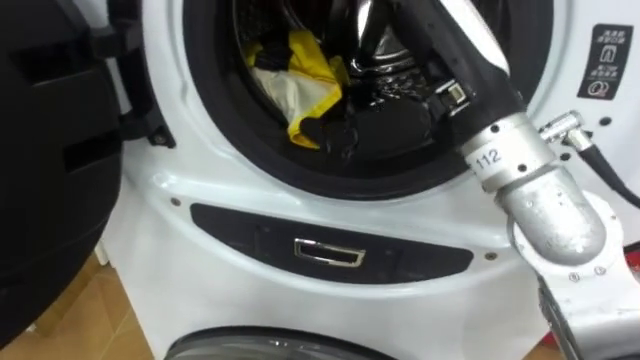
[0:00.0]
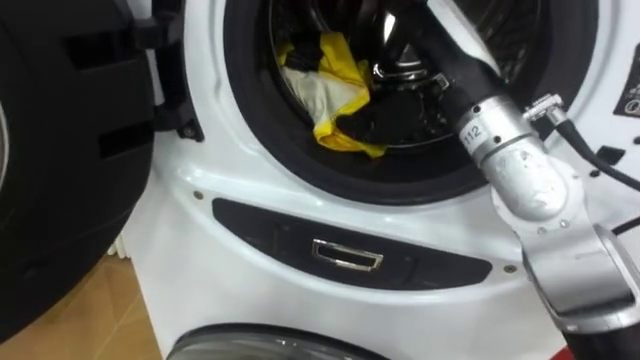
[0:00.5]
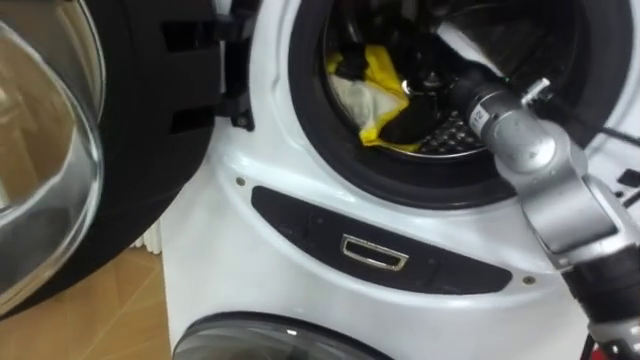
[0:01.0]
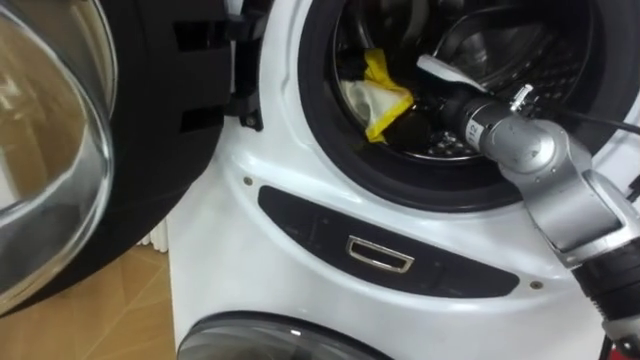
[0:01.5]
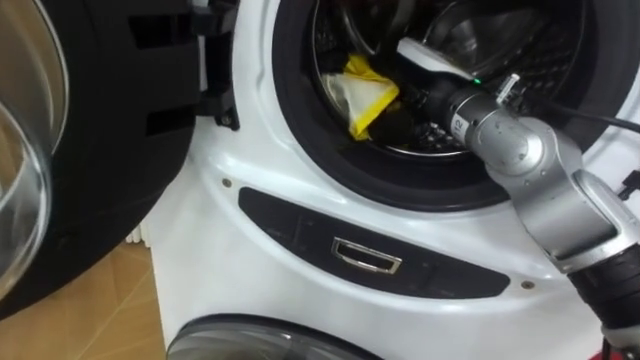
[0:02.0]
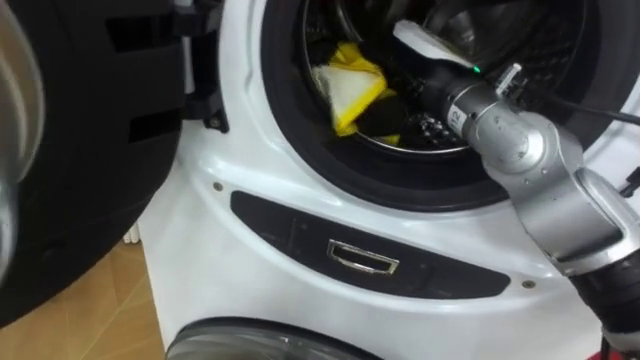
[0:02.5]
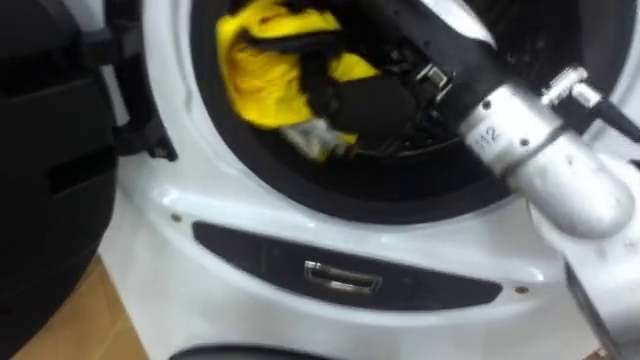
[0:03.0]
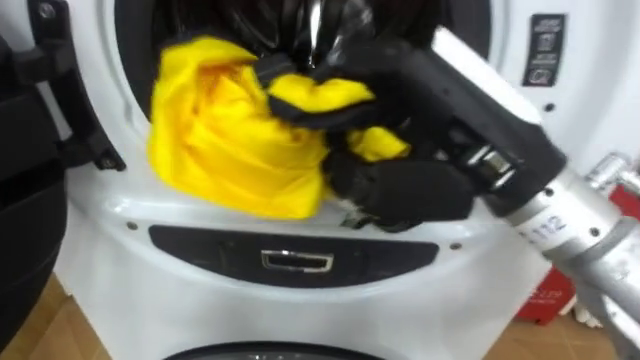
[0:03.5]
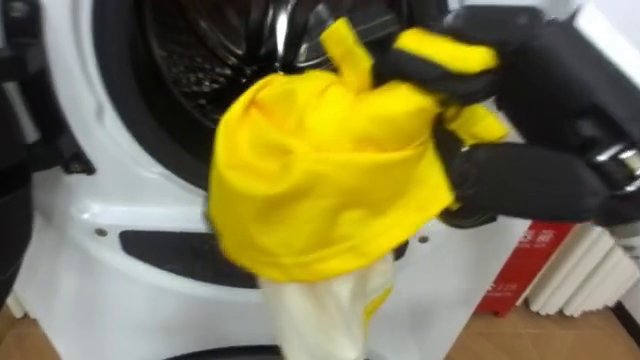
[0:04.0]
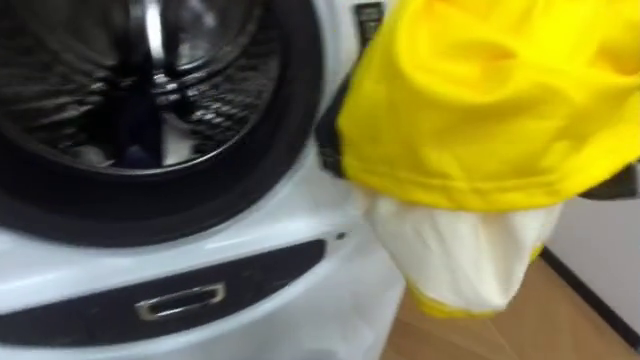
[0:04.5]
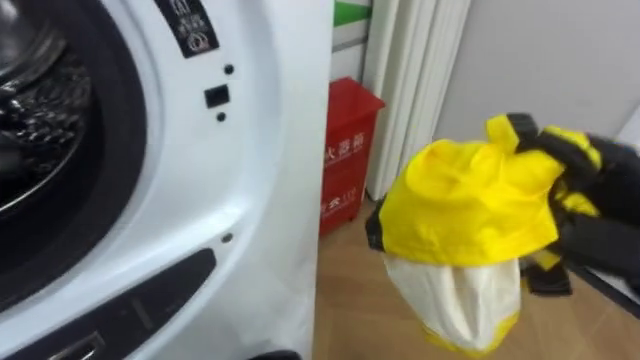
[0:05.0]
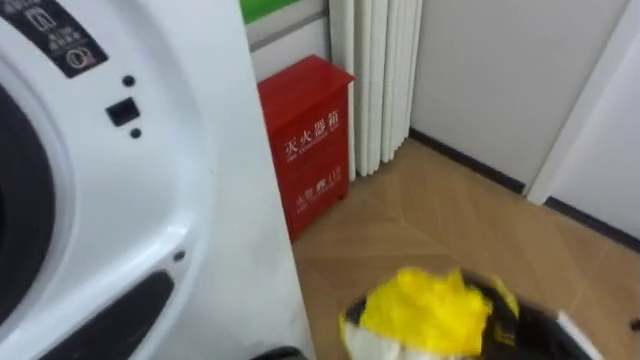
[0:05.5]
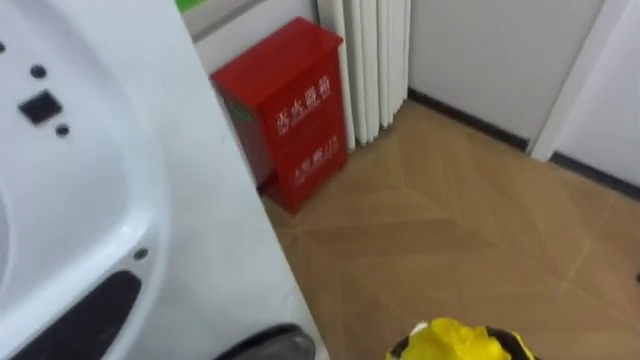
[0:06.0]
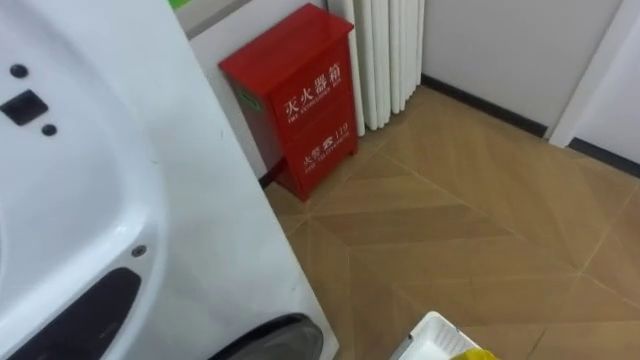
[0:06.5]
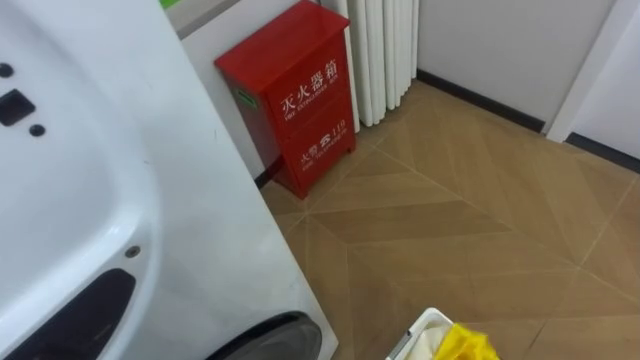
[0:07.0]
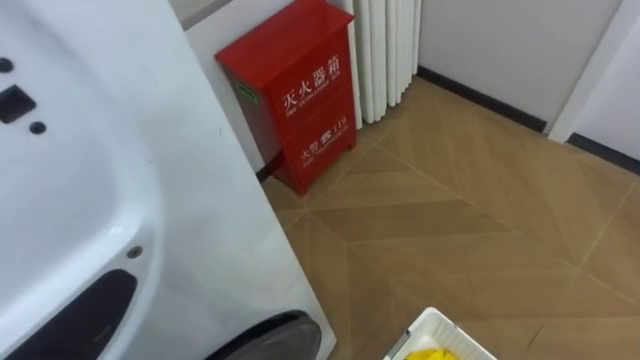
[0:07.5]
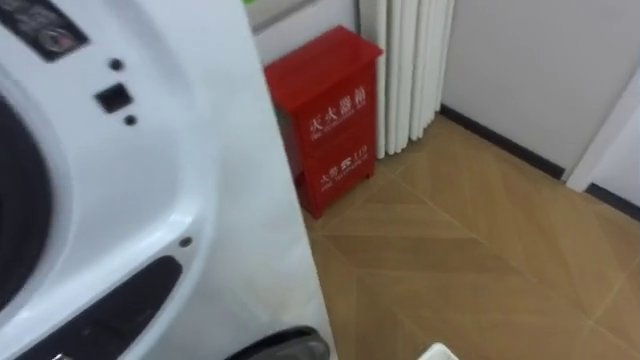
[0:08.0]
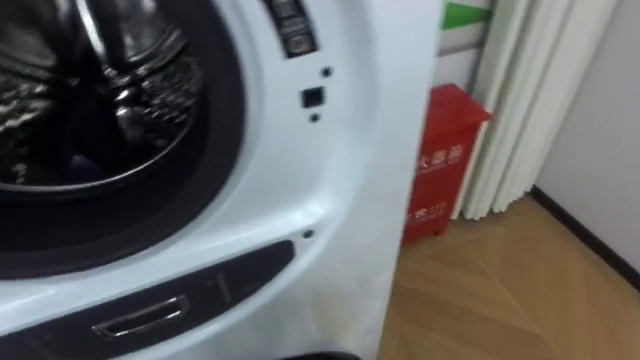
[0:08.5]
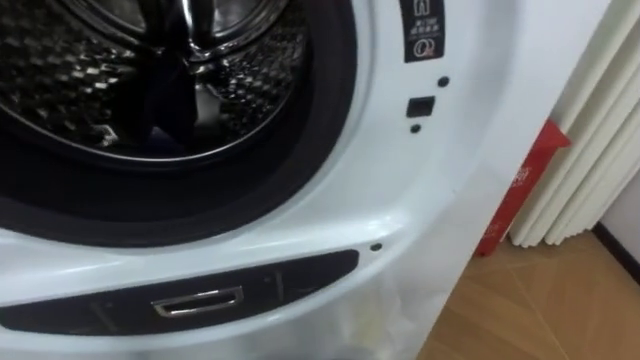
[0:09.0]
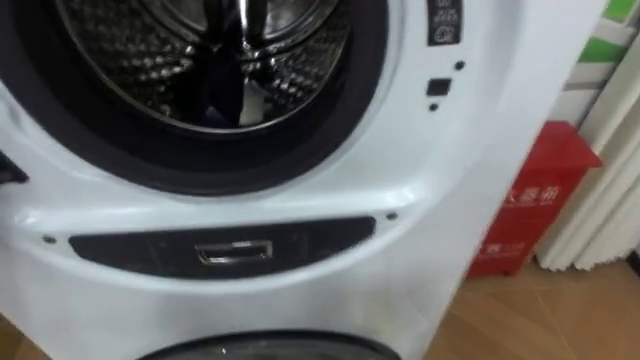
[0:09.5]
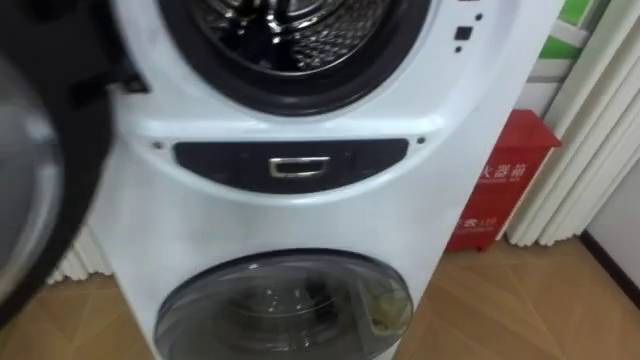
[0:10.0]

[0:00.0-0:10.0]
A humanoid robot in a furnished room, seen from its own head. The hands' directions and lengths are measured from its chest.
Task of the whole recording: Open the washing machine door, take out the yellow clothes, place them in the box on the right, and close the washing machine door.
0.0 to 2.0 s: The right hand moves forward and downward, some 10 cm, and closes its fingers.
2.0 to 4.0 s: The right hand moves backward and upward, approximately 20 cm.
4.0 to 6.0 s: The robot rotates some 30 degrees to its right.
8.0 to 10.0 s: The robot faces some 25 degrees further to its left.

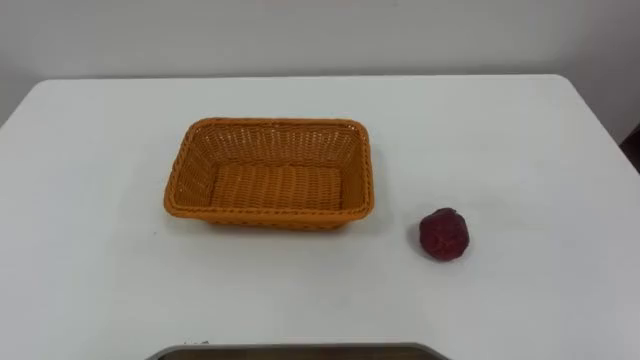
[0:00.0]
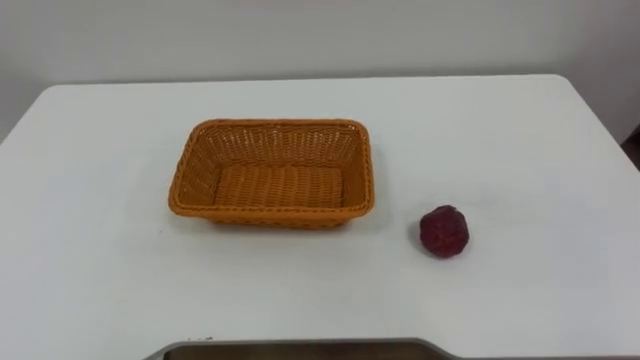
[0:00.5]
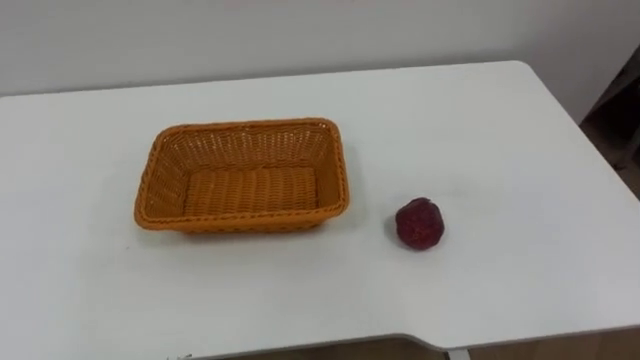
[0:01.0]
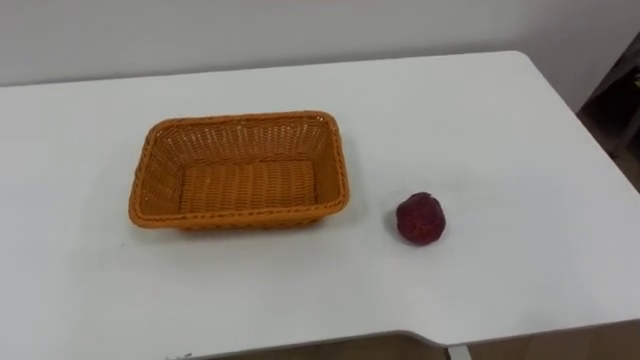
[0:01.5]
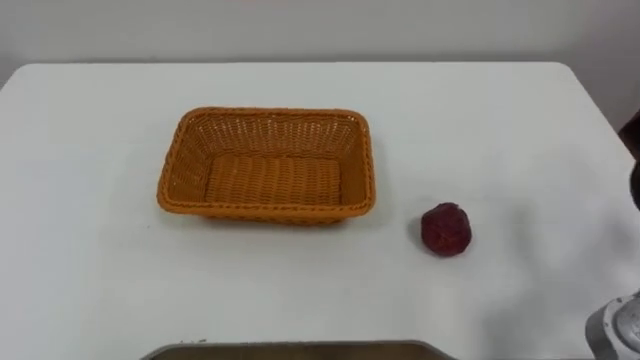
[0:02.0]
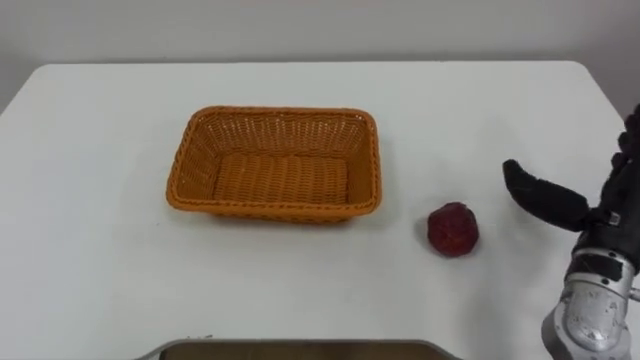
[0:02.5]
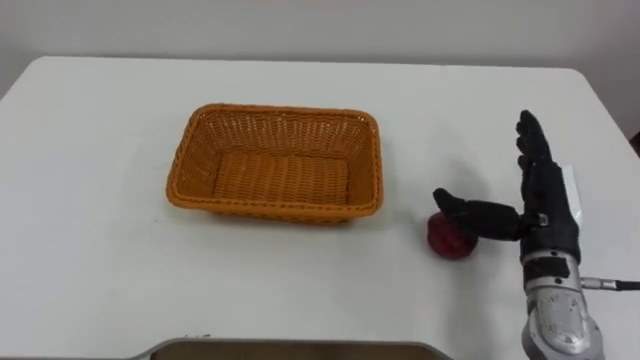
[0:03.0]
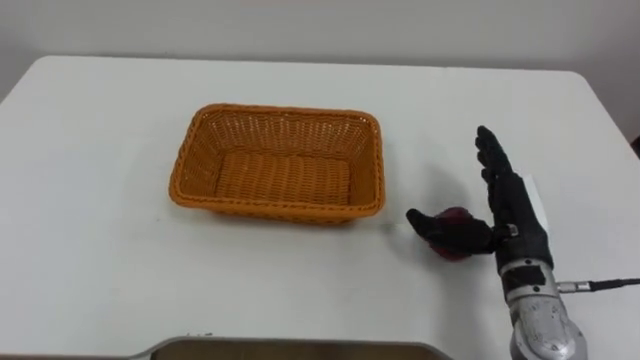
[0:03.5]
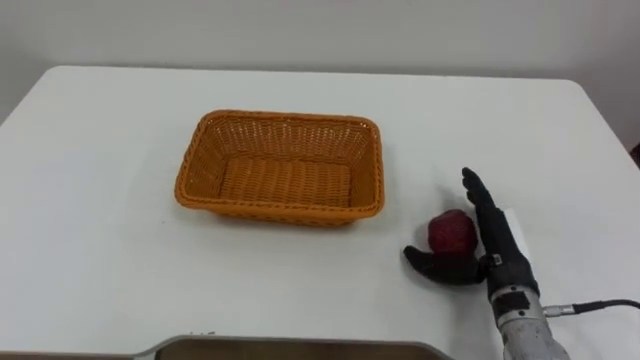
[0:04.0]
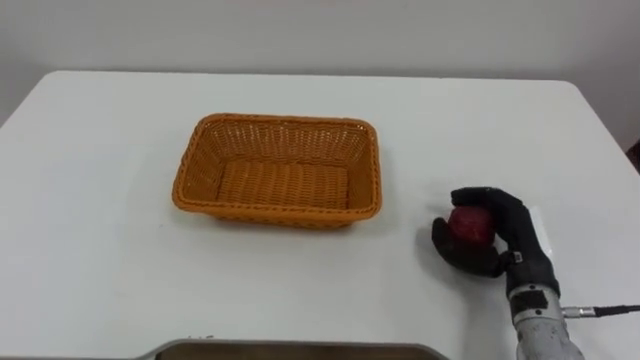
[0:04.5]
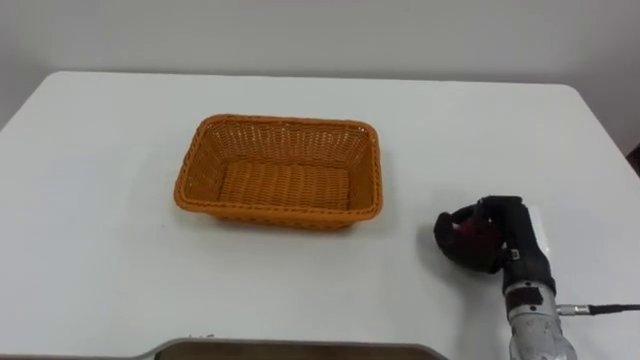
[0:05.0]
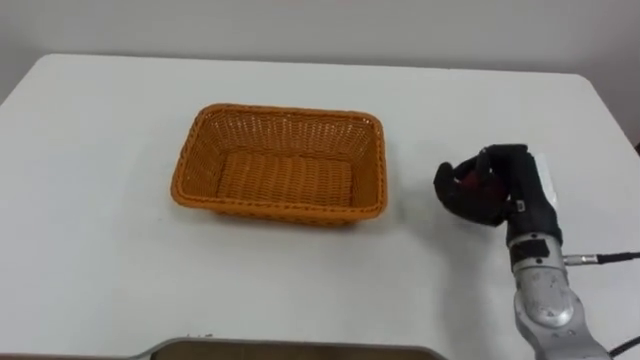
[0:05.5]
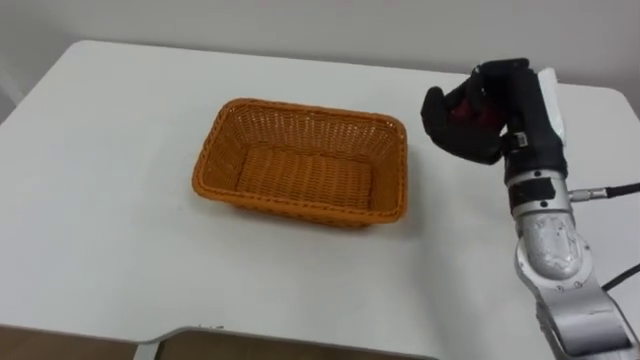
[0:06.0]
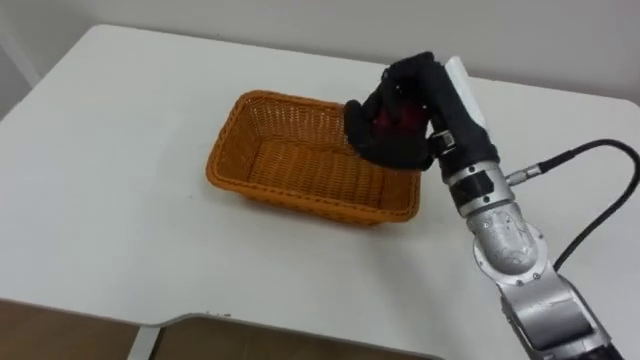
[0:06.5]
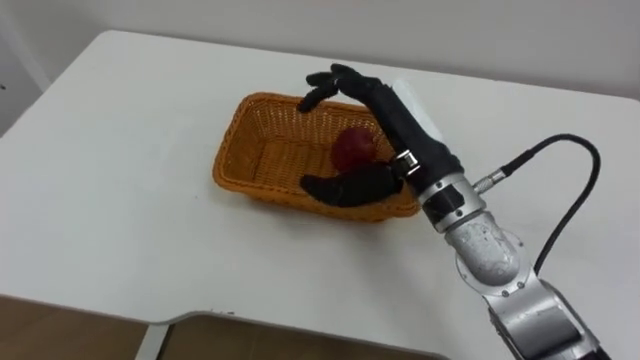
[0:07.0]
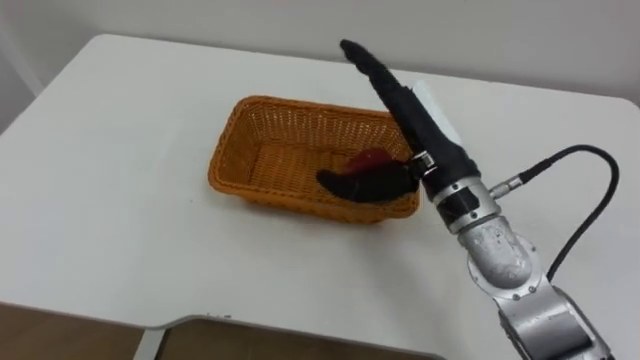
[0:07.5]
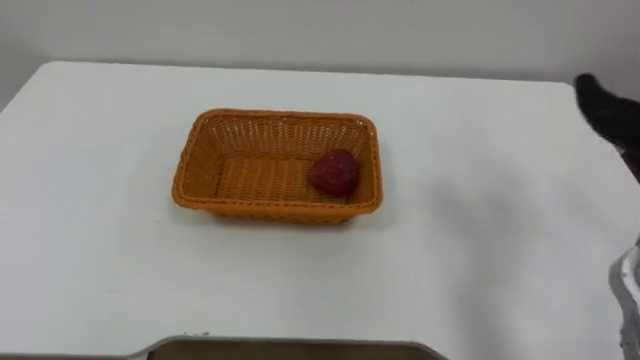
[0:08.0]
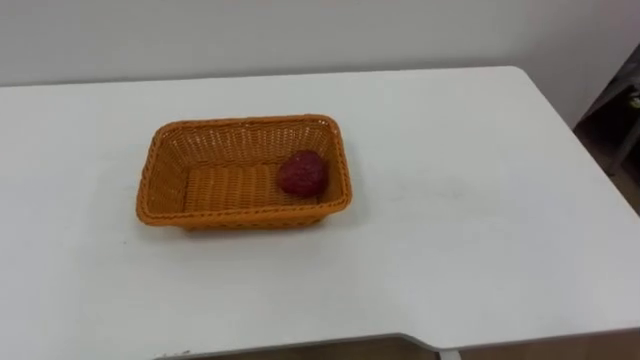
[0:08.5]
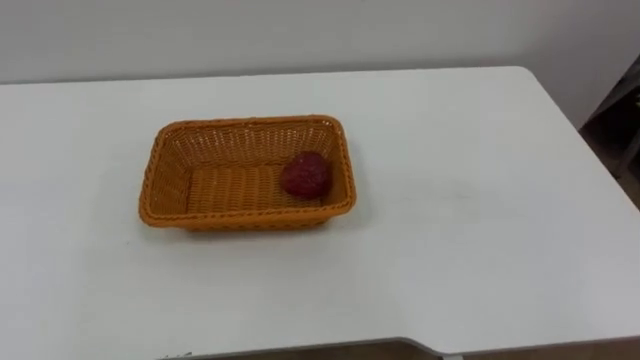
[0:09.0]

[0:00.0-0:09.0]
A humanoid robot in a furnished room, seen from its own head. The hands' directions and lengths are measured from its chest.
Task of the whole recording: Pick the apple and place it in the box.
4.5 to 7.0 s: The right hand travels upward and to the left by some 20 cm, and closes, then reopens.

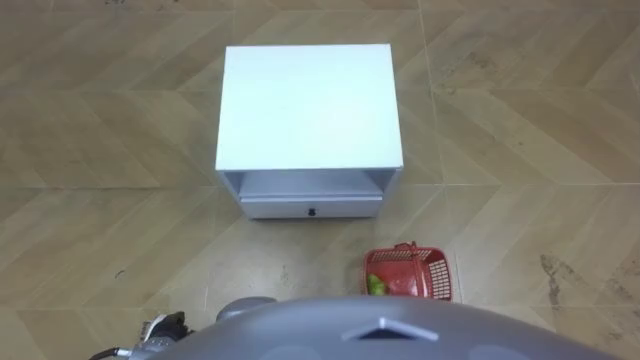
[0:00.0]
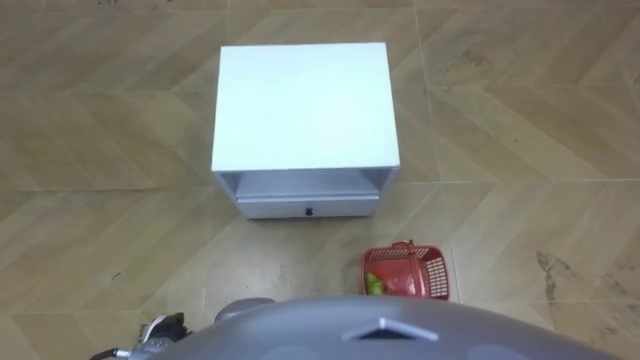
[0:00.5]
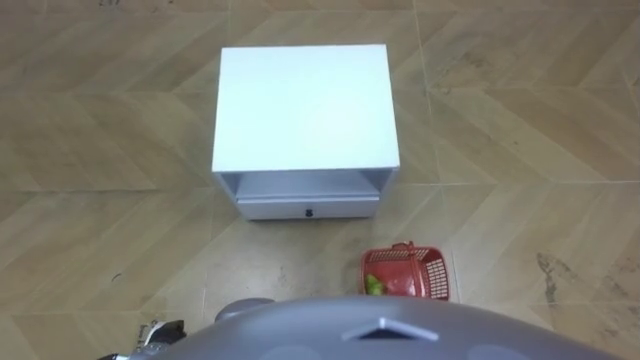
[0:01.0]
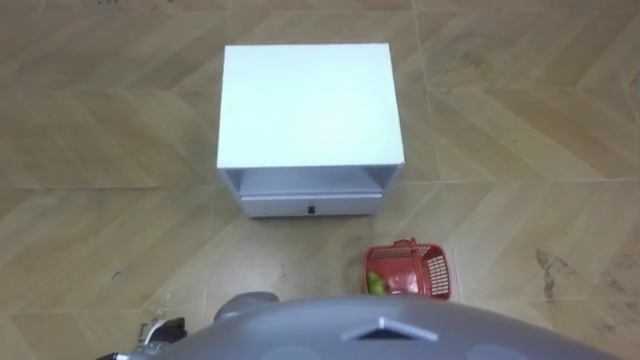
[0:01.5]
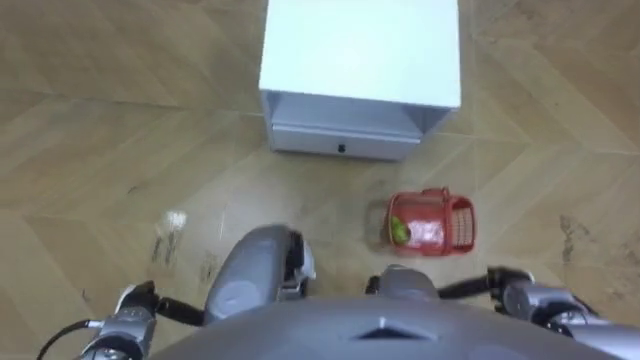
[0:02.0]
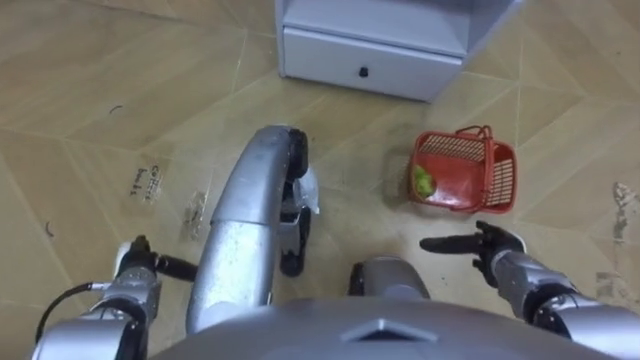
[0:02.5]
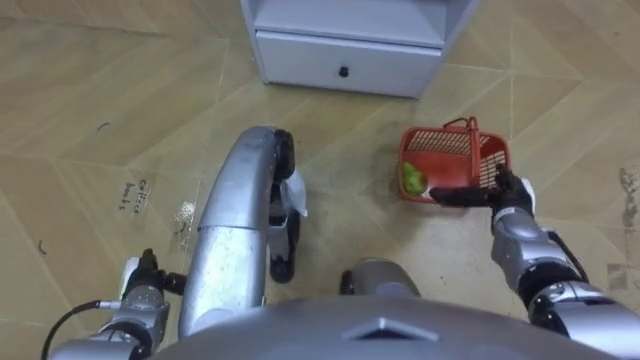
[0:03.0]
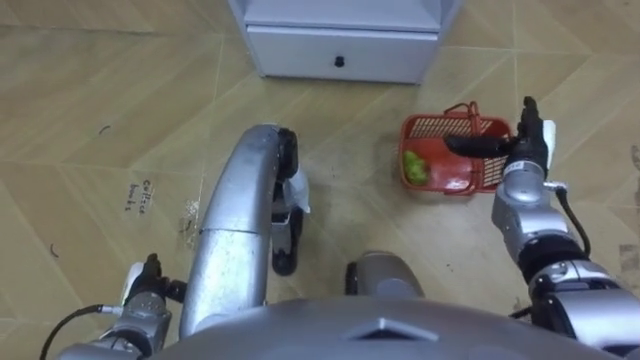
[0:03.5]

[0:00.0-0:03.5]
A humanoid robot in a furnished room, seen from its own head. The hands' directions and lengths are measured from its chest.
Task of the whole recording: Pick up the fruit basket from the floor and place it on the cabinet.
2.0 to 3.5 s: The right hand moves forward and upward, roughly 25 cm.
